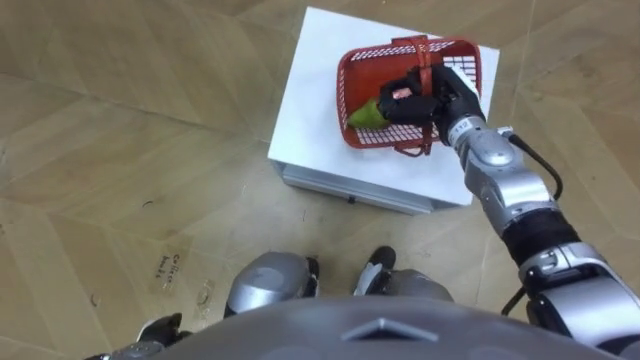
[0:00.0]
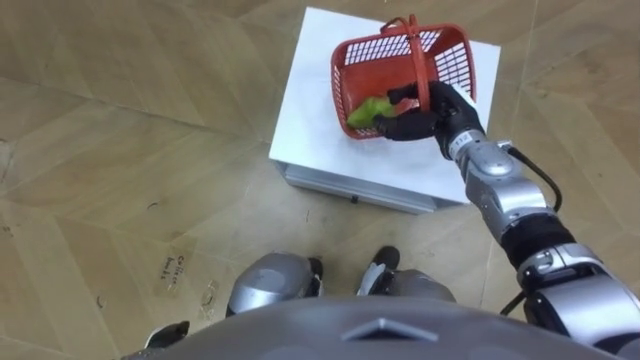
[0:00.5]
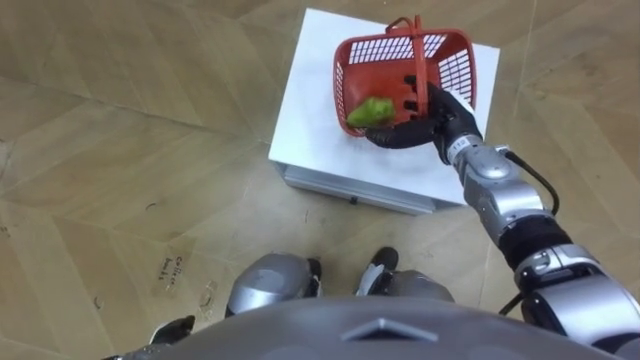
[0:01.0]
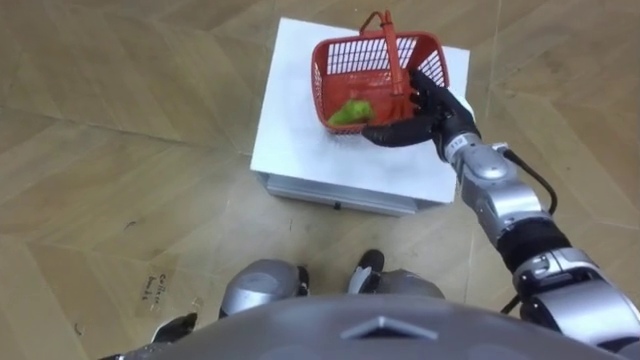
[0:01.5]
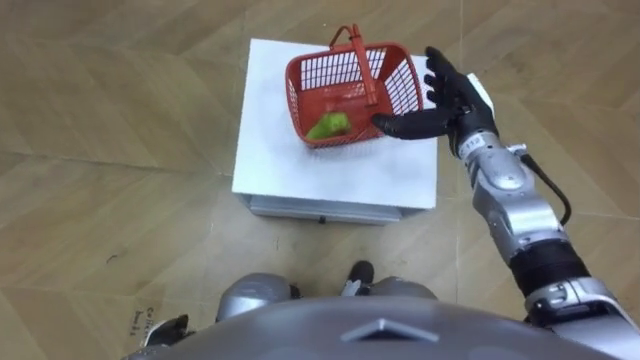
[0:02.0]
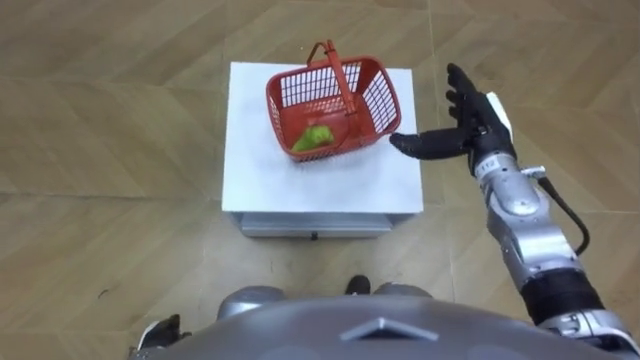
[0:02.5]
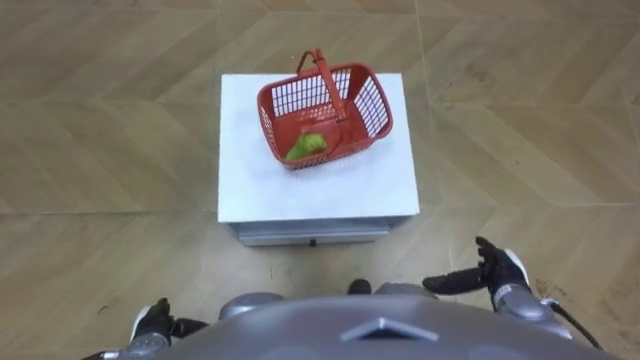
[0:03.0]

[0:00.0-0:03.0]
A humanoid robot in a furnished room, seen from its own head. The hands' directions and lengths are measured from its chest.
Task of the whole recording: Pick up the fruit basket from the floor and place it on the cabinet.
0:00.0 to 0:01.5: The right hand opens its fingers.
0:01.5 to 0:03.0: The right hand is displaced backward, downward and to the right by some 25 cm.

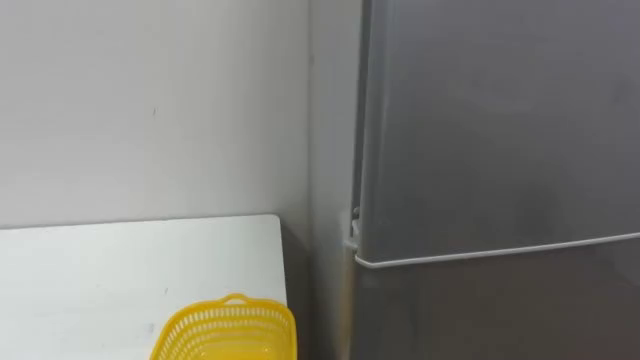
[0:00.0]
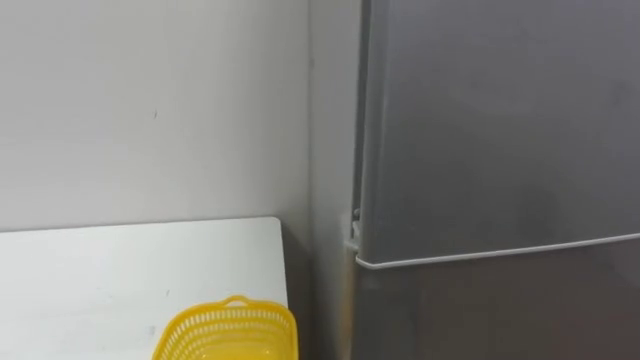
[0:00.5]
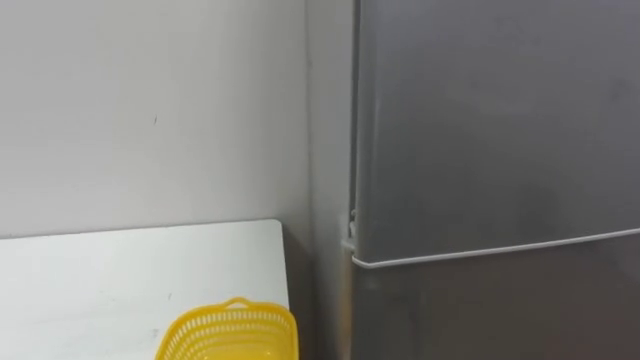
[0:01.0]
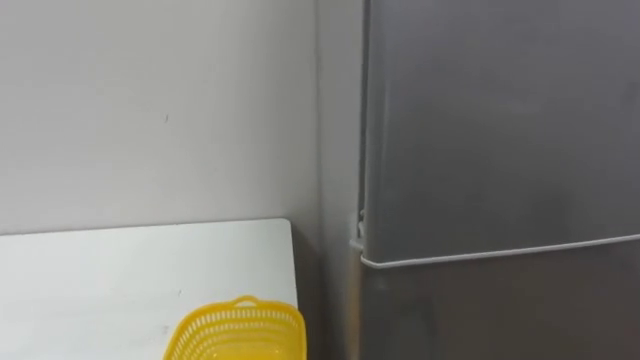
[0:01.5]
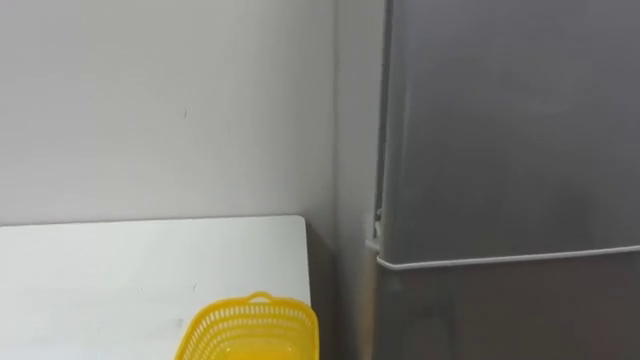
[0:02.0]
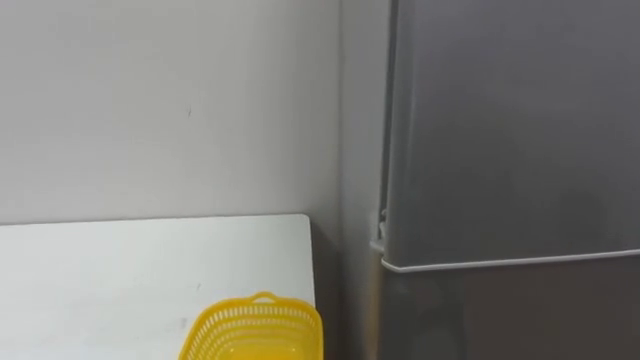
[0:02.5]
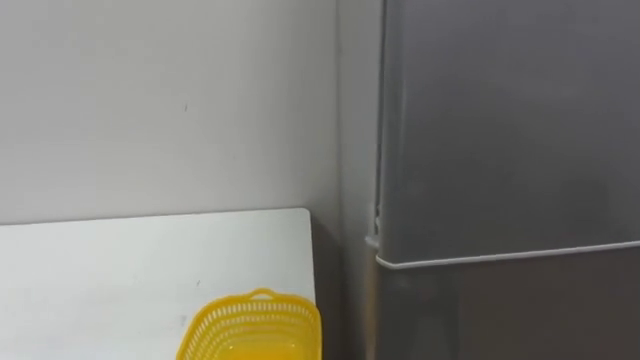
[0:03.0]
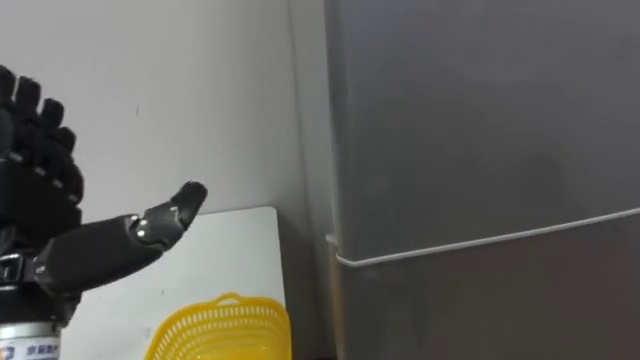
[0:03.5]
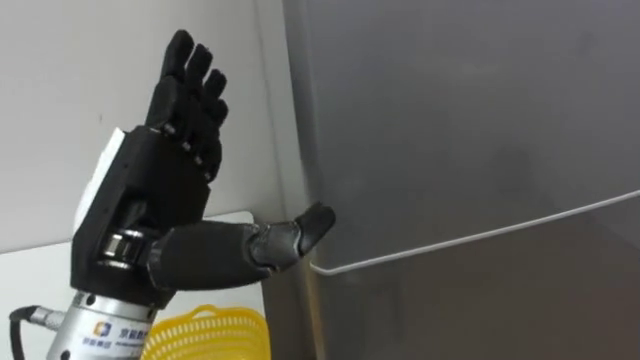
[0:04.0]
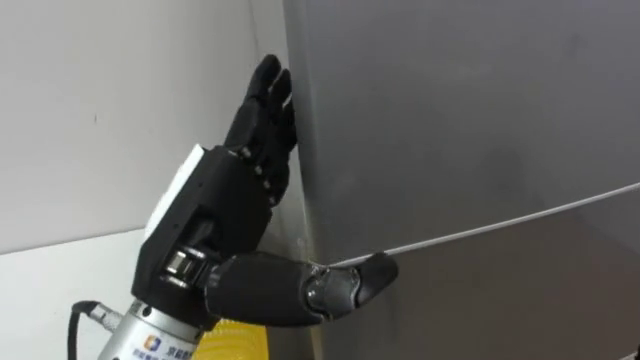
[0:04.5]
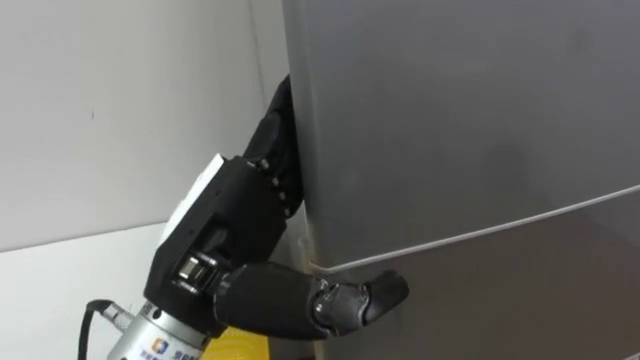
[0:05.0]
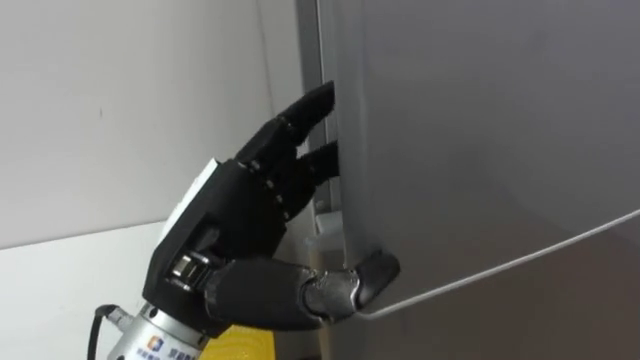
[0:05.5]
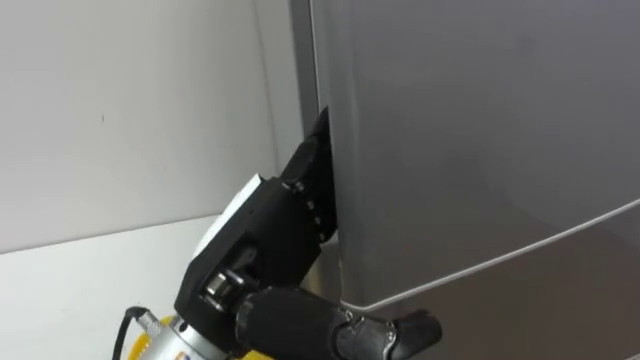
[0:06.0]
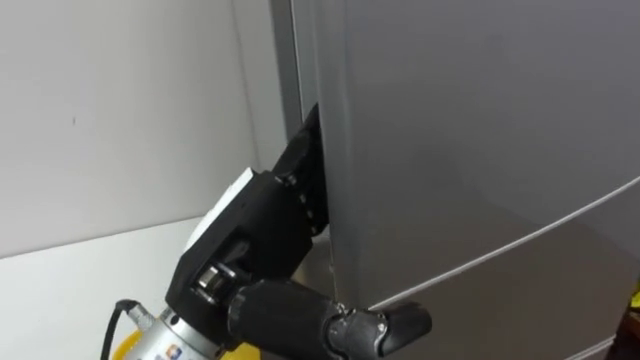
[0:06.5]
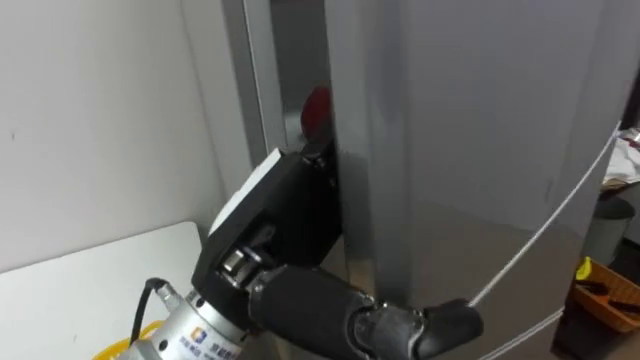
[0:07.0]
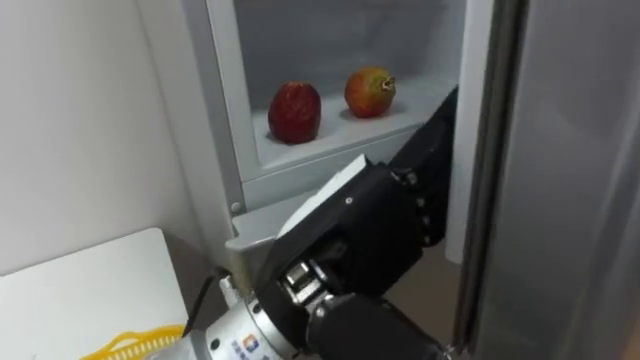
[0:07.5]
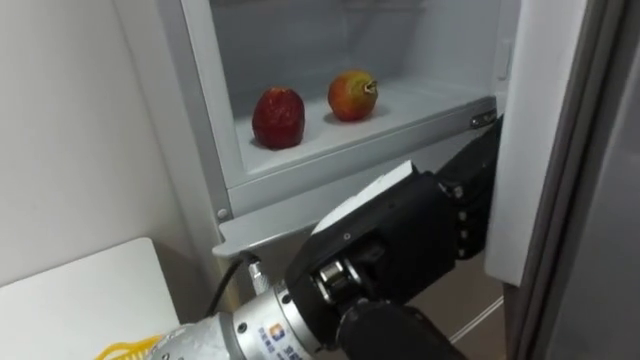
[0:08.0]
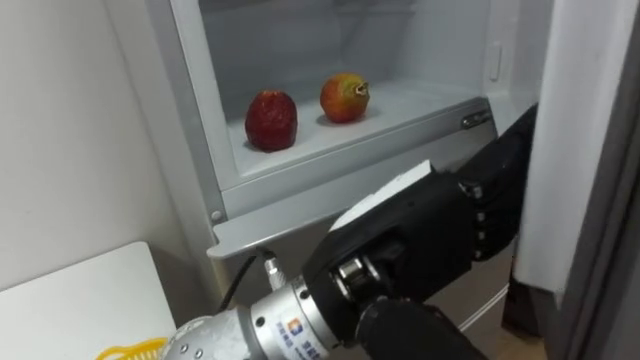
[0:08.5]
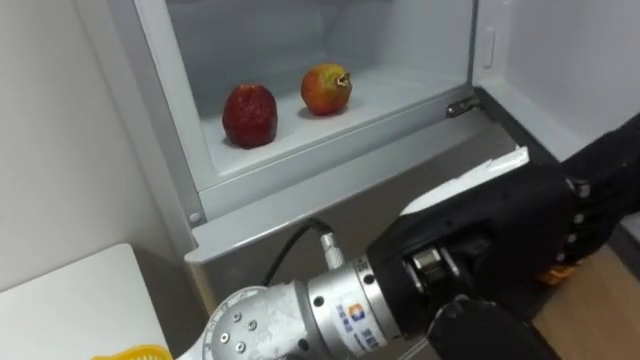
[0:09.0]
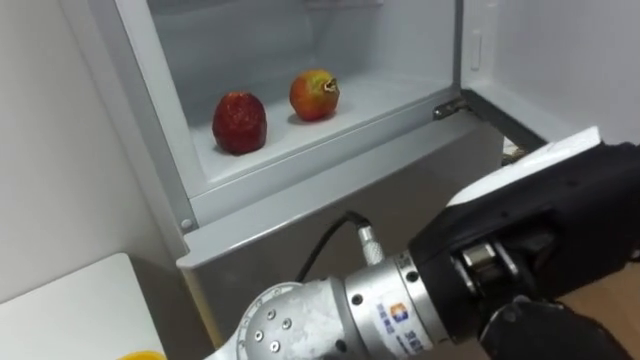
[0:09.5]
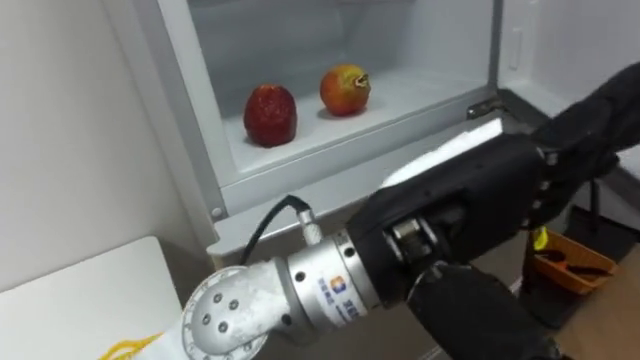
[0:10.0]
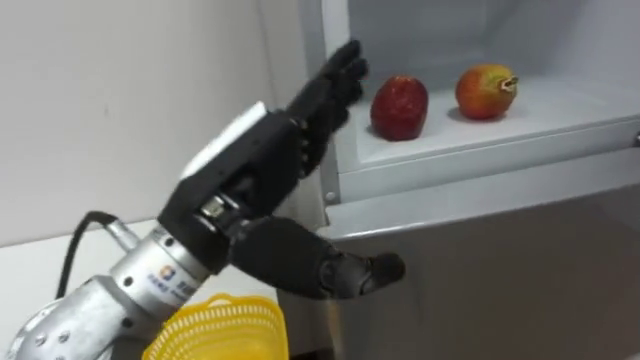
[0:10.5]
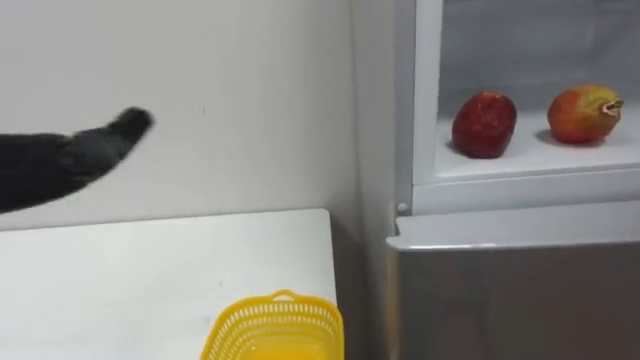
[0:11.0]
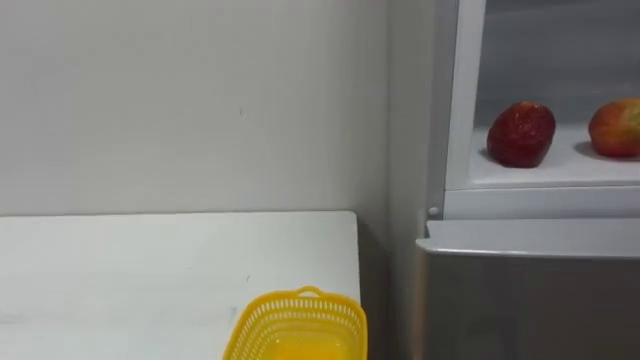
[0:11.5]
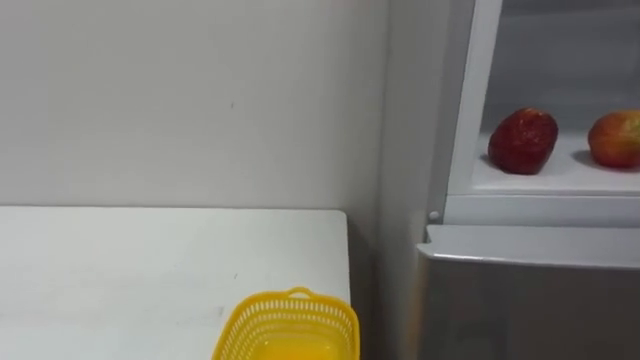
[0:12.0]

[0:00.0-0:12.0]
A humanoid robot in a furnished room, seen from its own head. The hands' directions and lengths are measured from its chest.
Task of the whole recording: Open the refrigerator door, take out the apple and the pomegranate, place them in the fruit basket on the left, and close the refrigerator door.
0:04.0 to 0:06.0: The left hand moves to the right, approximately 10 cm.
0:06.0 to 0:08.0: The left hand is displaced to the right by some 10 cm.

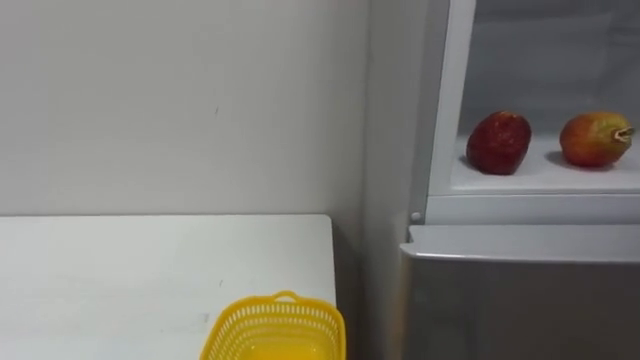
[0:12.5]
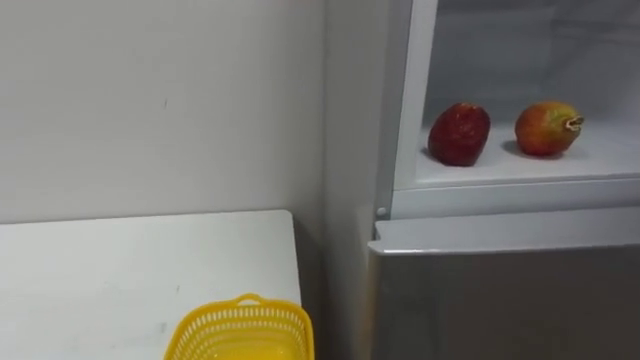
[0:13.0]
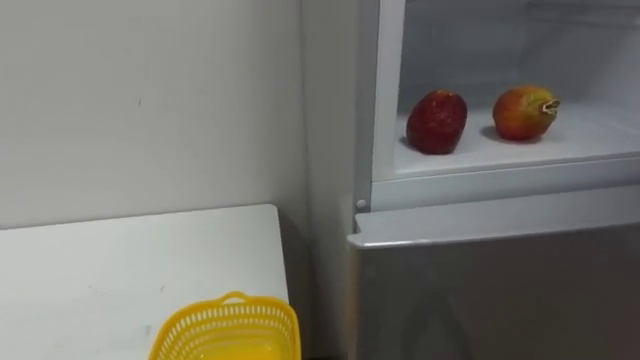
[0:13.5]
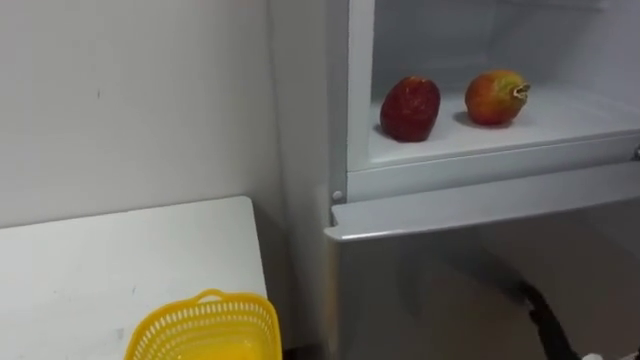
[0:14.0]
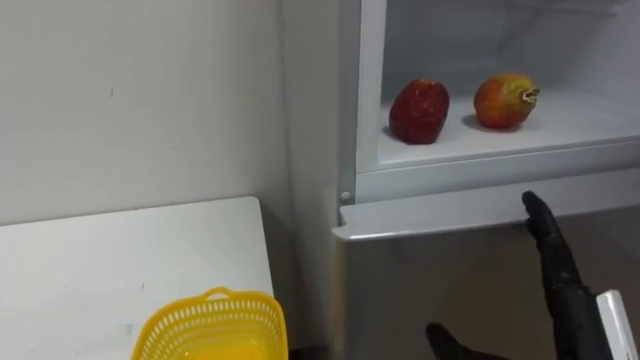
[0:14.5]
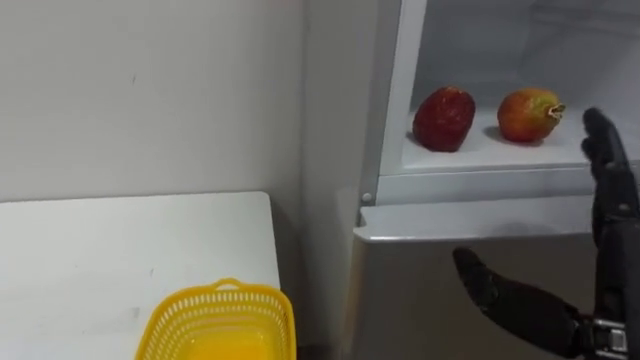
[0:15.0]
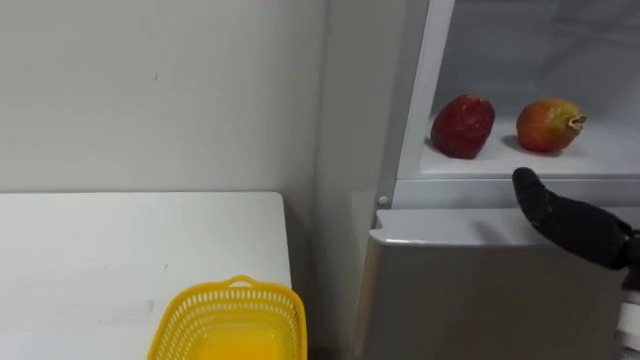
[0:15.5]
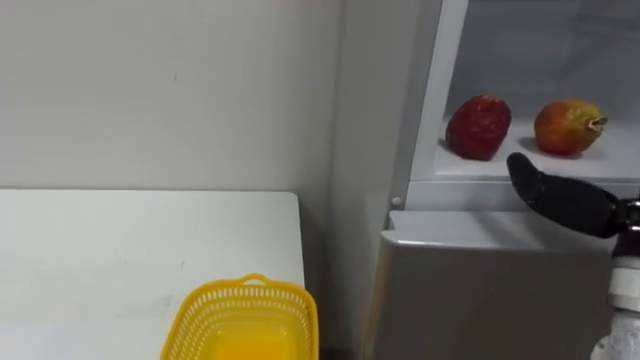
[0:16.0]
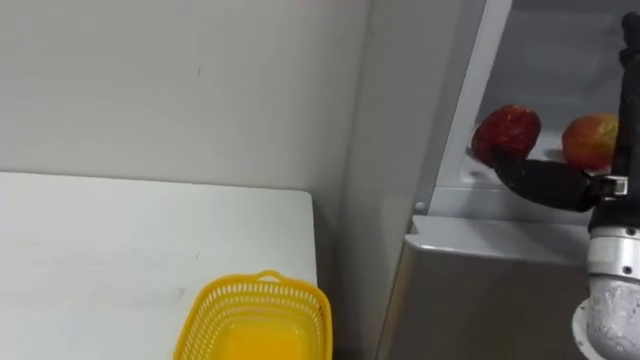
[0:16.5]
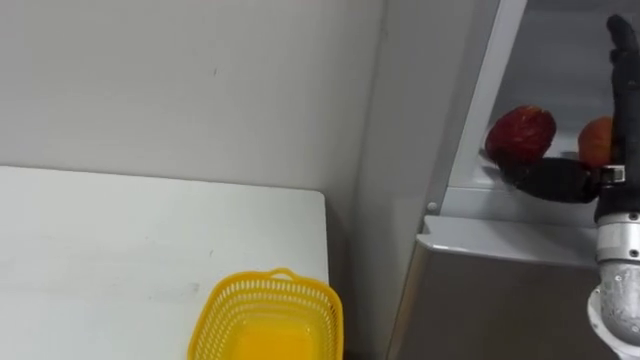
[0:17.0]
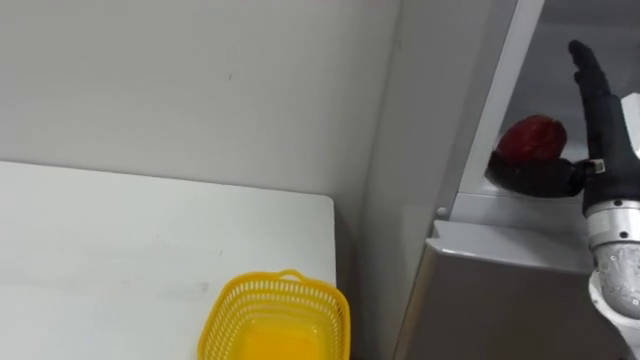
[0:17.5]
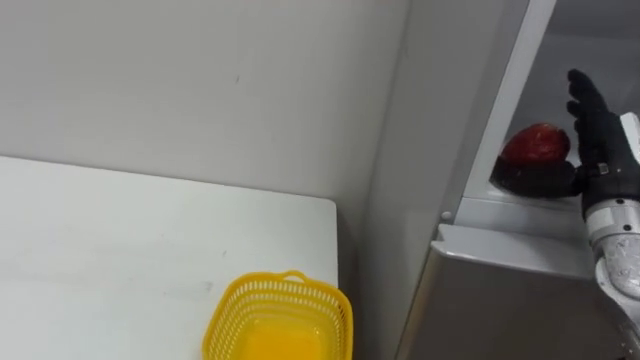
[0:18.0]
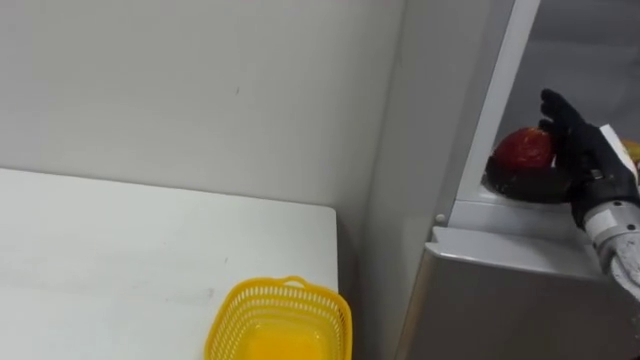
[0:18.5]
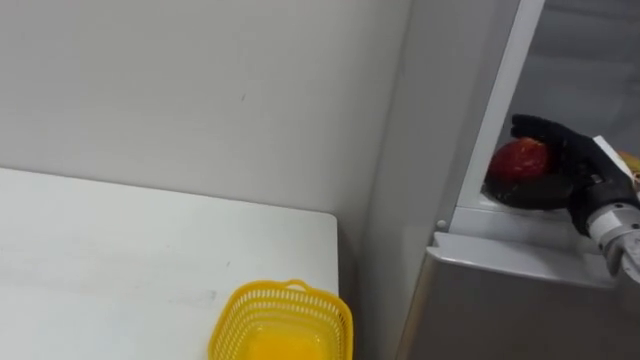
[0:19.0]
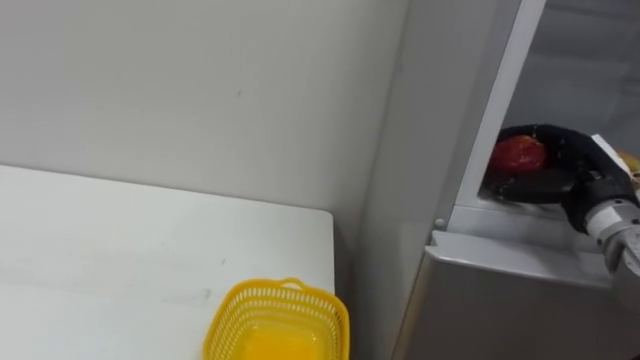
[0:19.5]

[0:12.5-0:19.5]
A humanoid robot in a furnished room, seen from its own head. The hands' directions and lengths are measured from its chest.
Task of the whole recording: Open the refrigerator door, take out the apple and the pomegranate, place them in the fruit basket on the left, and close the refrigerator door.
0:17.5 to 0:19.5: The right hand travels downward by approximately 5 cm, and closes its fingers.
